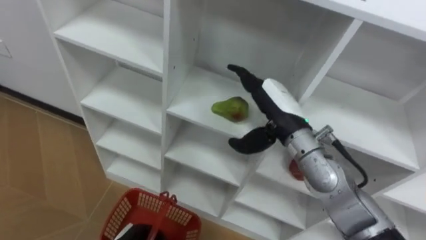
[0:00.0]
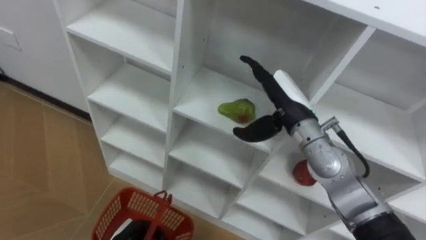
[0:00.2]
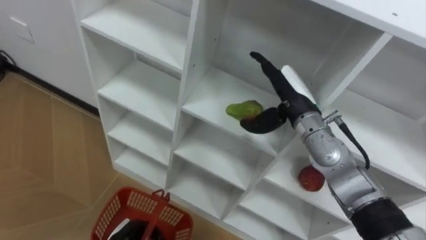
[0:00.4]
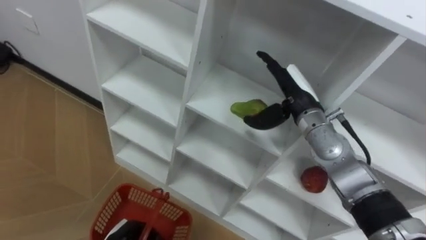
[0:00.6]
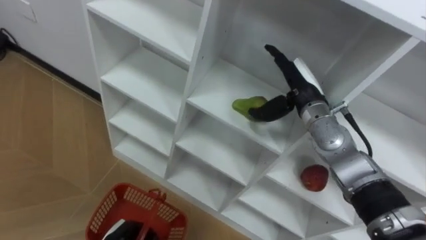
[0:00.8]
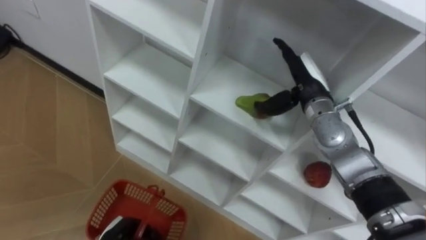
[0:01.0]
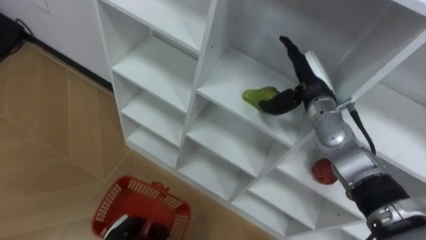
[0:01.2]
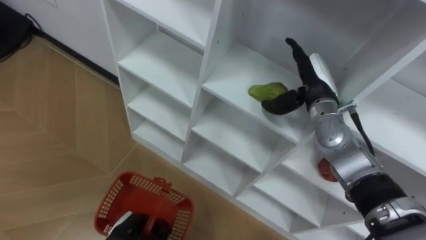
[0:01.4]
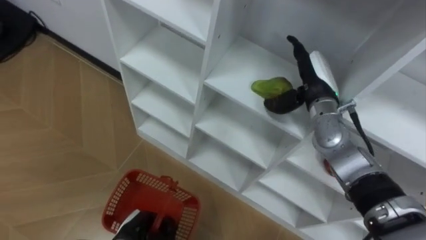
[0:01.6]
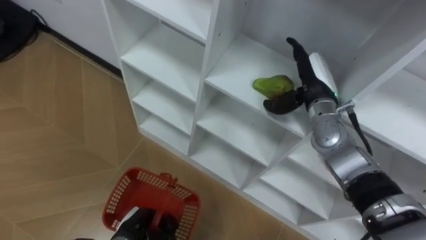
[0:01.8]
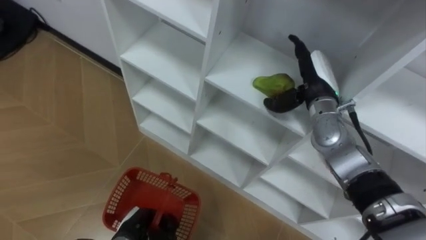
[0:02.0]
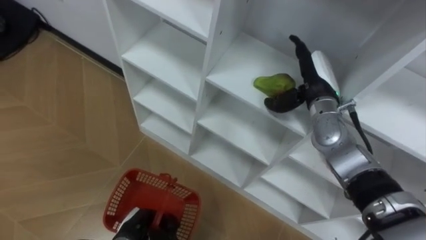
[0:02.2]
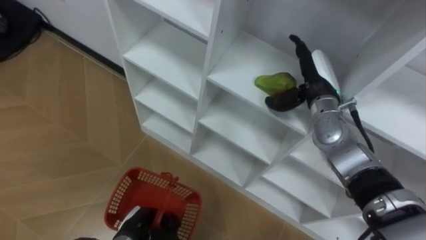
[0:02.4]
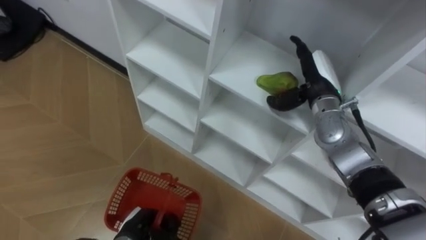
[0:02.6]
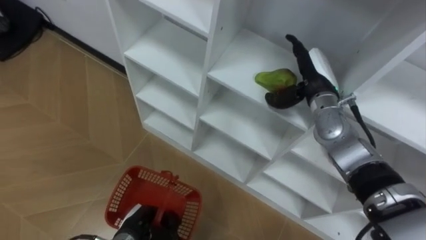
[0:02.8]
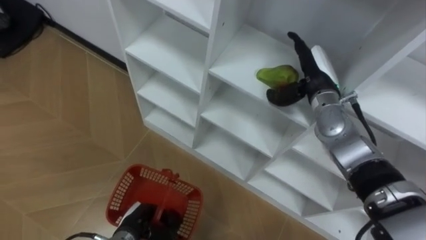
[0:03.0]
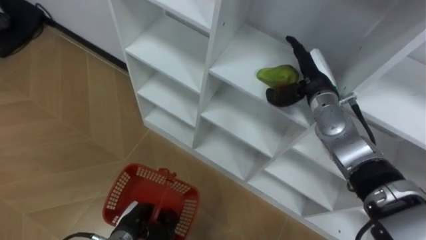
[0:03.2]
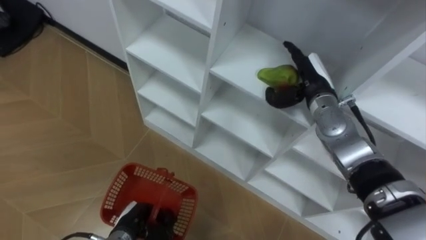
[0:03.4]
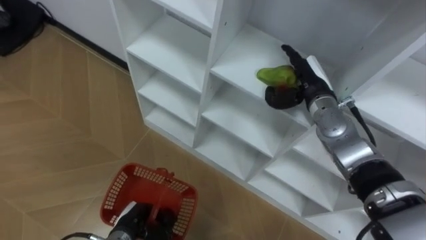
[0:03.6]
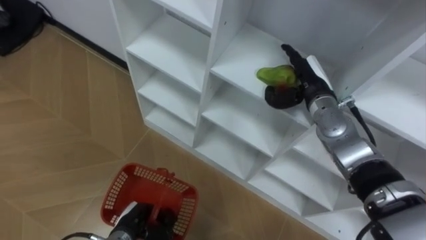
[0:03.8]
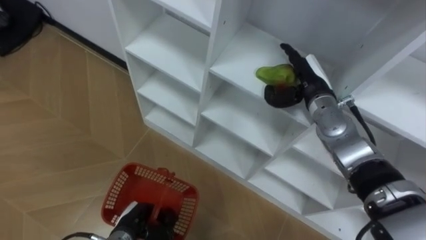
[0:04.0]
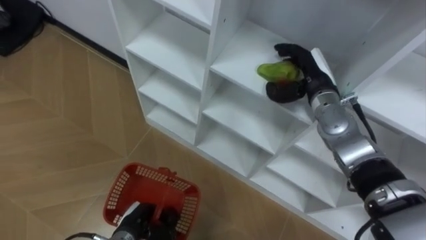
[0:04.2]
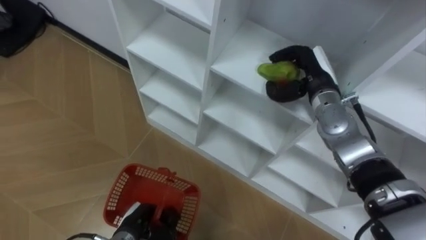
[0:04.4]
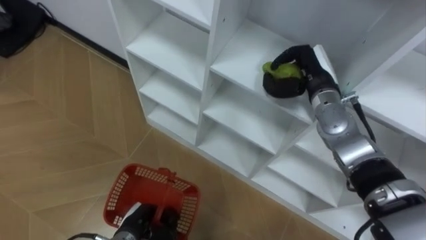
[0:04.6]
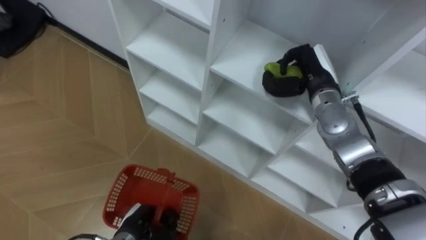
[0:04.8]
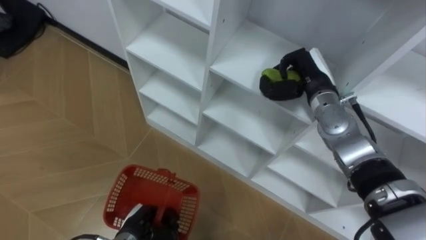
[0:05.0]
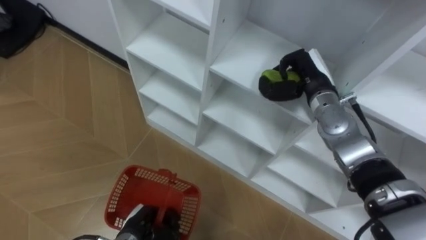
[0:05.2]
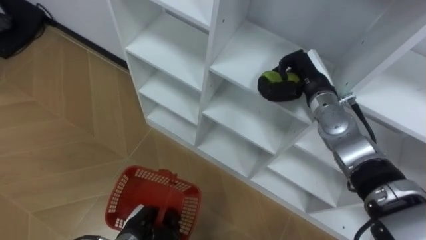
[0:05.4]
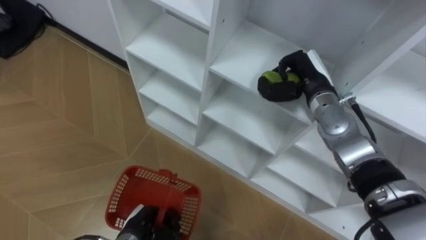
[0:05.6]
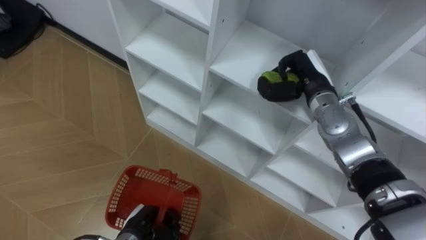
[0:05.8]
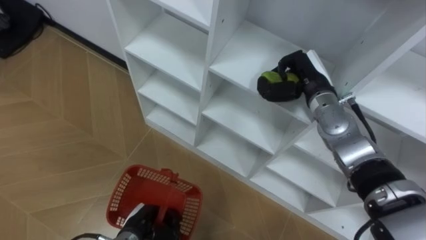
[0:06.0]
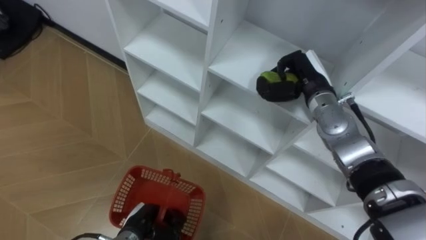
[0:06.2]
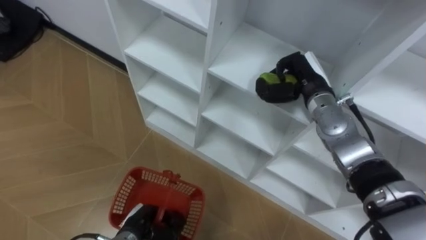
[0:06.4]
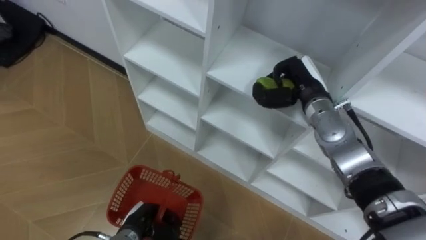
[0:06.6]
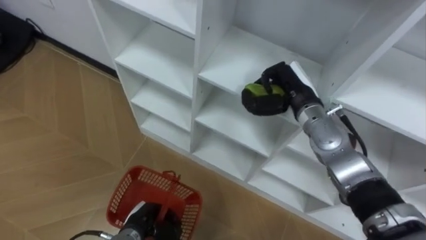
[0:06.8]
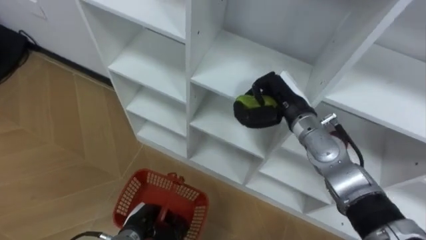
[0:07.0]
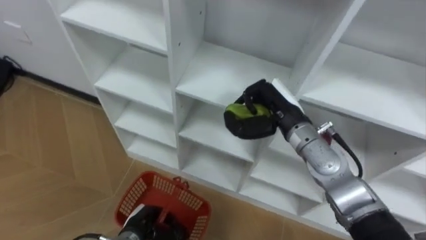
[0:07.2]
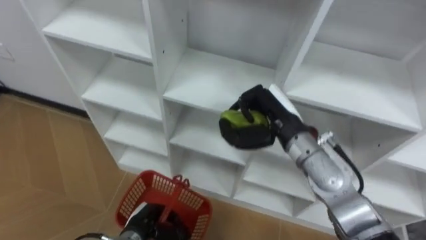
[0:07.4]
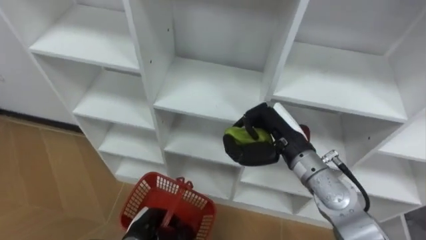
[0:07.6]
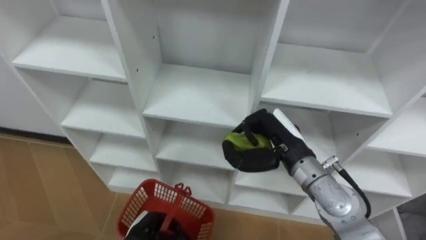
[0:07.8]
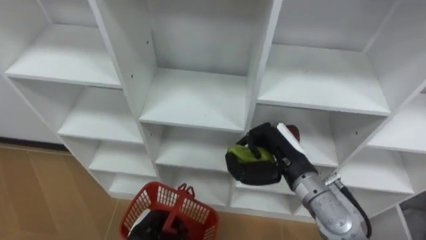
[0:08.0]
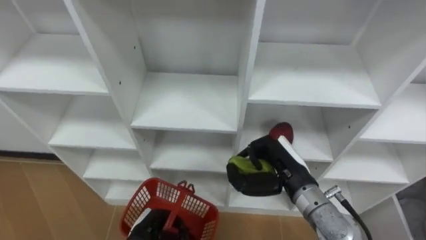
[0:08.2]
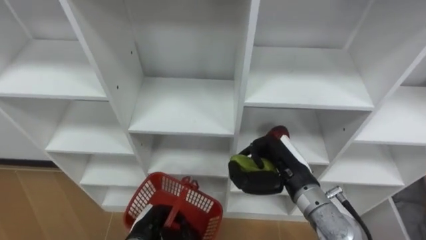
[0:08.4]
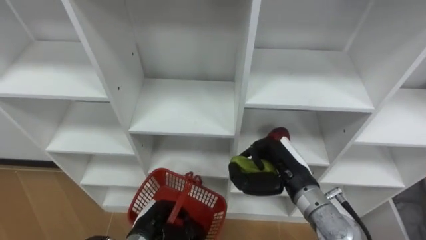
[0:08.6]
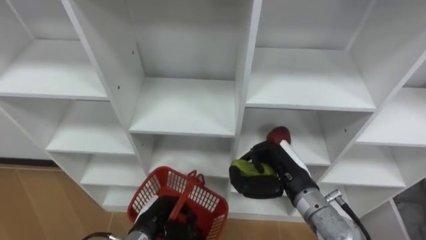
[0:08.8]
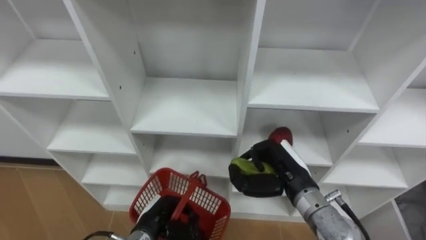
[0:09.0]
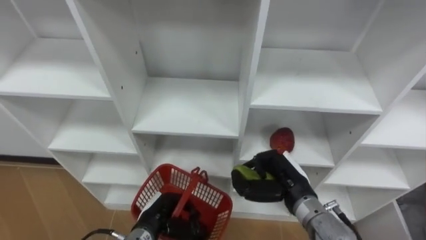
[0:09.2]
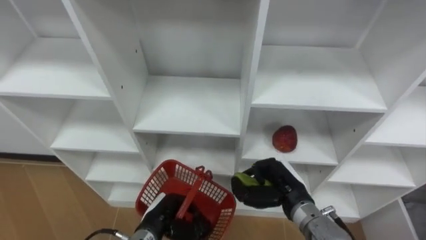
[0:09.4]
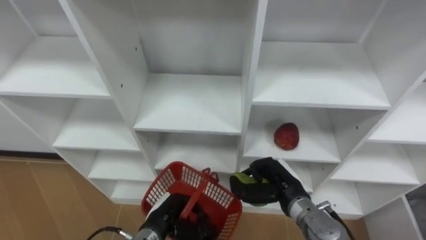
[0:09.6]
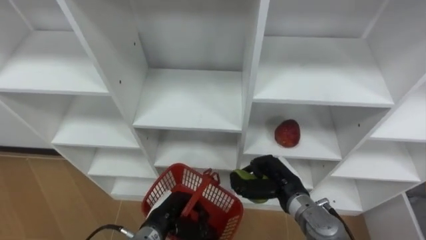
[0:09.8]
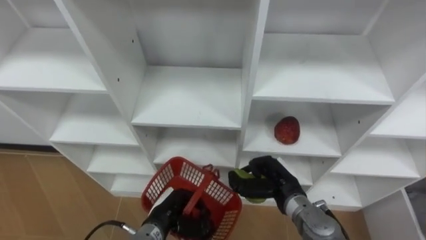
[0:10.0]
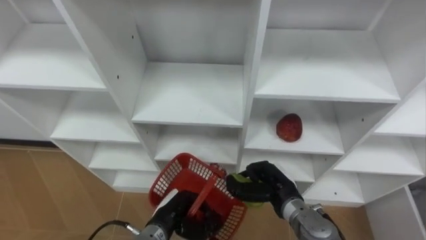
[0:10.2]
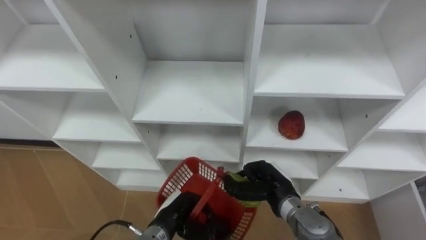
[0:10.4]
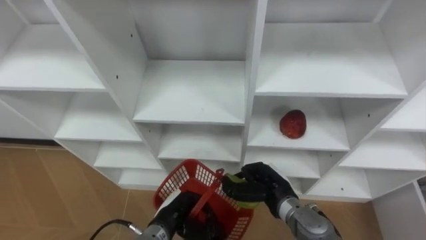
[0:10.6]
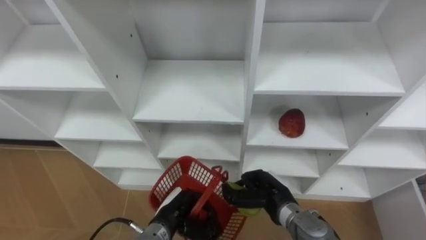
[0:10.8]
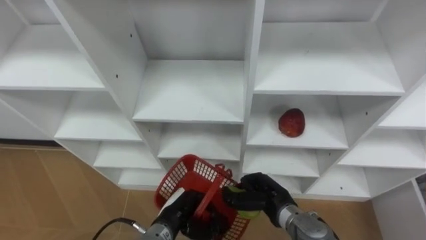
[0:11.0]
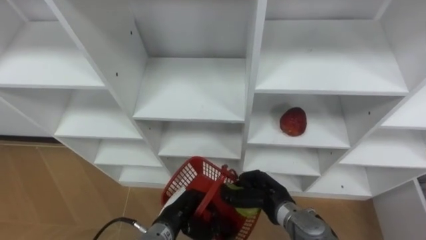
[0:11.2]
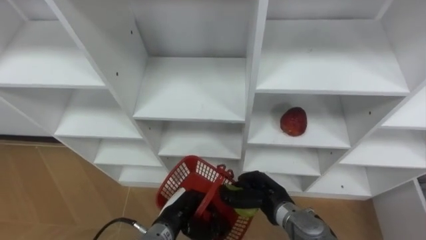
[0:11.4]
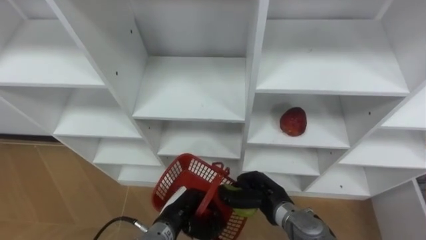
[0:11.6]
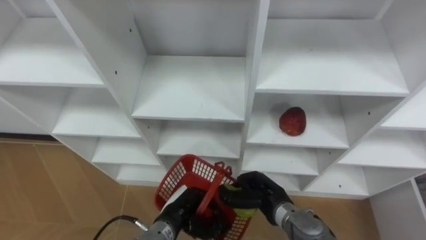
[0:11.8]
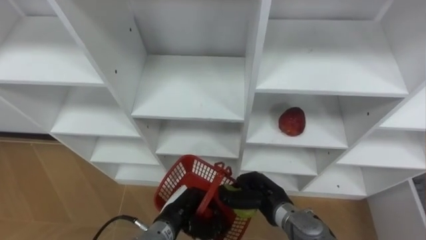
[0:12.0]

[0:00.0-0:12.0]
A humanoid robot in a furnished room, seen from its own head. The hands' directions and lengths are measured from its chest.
Task of the whole recording: Hold the basket and collect the fruits from 3 different cells of the closet into it.
0:00.0 to 0:01.6: The right hand moves forward and to the right, about 10 cm.
0:03.0 to 0:04.4: The right hand closes its fingers.
0:04.4 to 0:06.0: The right hand closes its fingers.
0:06.0 to 0:07.6: The right hand heads backward and to the left, covering about 10 cm.
0:07.6 to 0:09.0: The right hand shifts approximately 5 cm downward.
0:09.0 to 0:10.4: The right hand travels downward by approximately 10 cm.

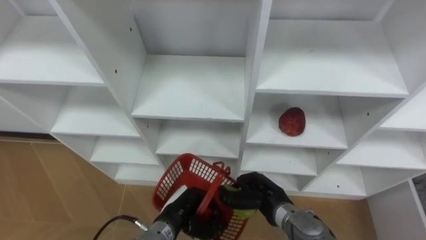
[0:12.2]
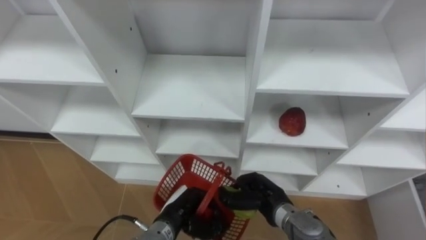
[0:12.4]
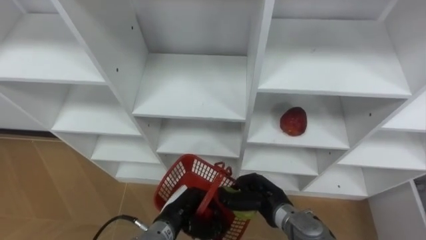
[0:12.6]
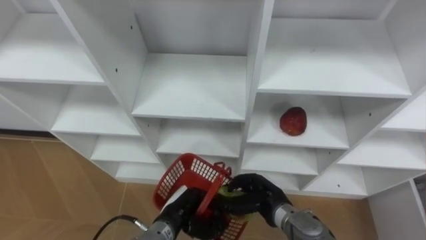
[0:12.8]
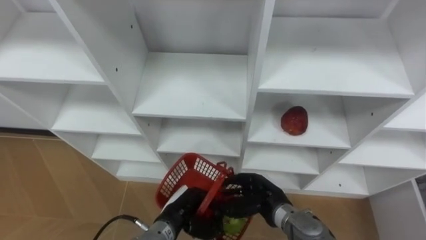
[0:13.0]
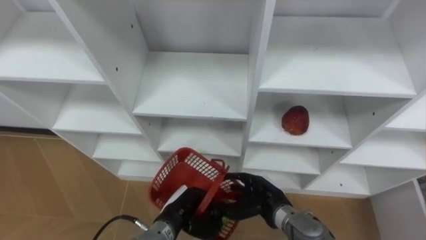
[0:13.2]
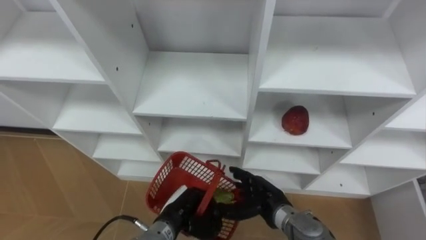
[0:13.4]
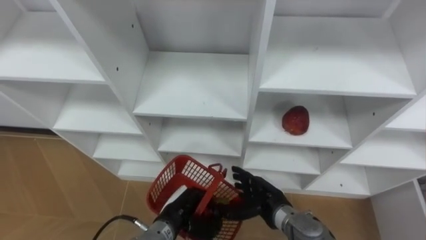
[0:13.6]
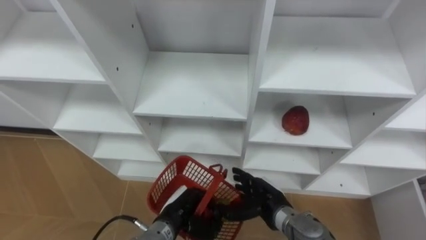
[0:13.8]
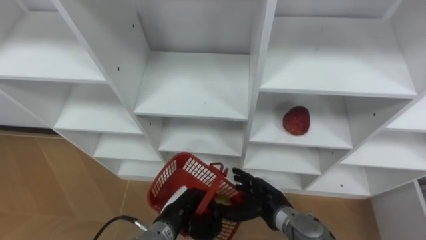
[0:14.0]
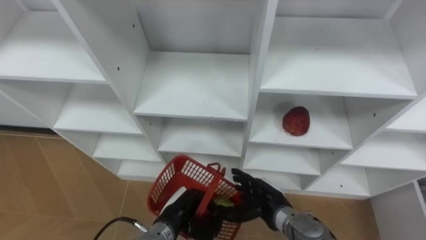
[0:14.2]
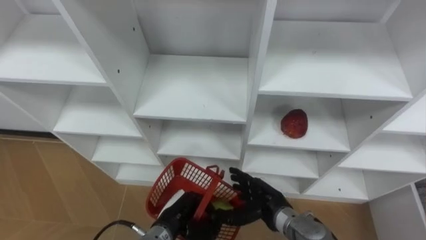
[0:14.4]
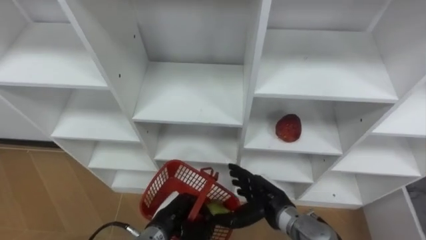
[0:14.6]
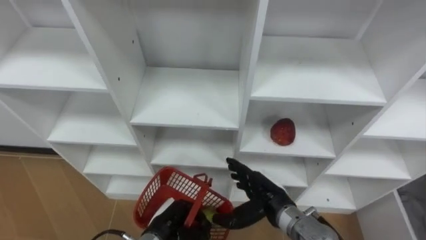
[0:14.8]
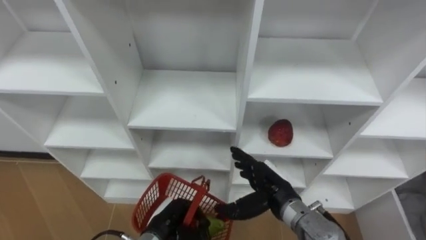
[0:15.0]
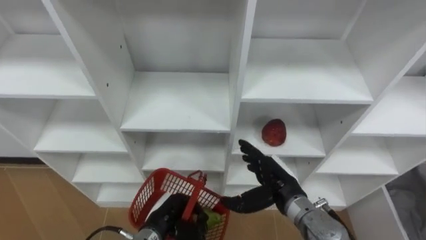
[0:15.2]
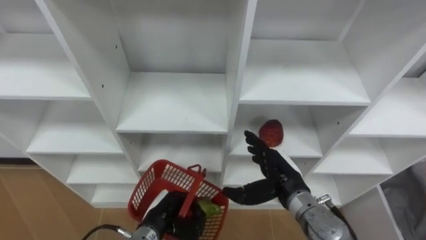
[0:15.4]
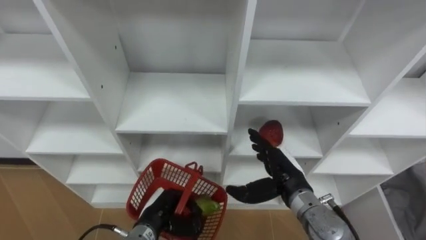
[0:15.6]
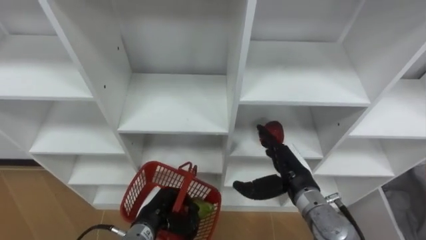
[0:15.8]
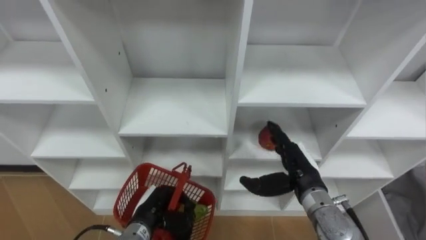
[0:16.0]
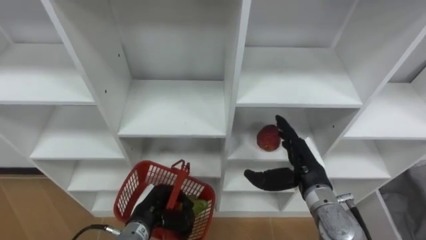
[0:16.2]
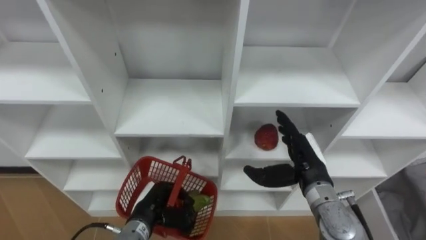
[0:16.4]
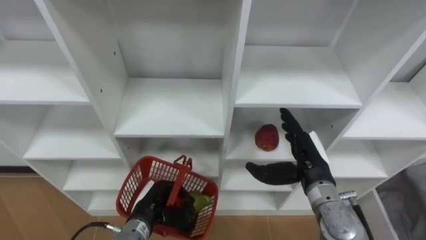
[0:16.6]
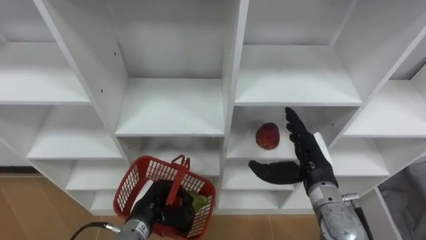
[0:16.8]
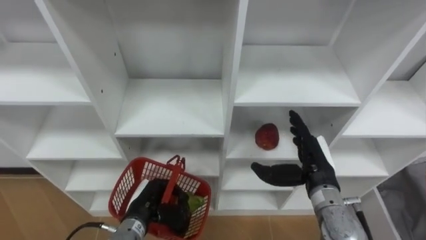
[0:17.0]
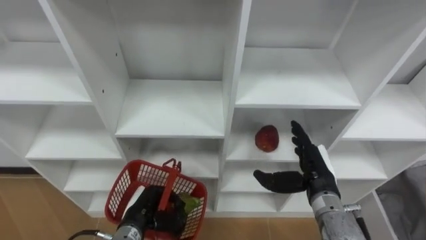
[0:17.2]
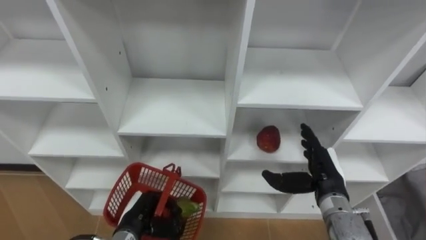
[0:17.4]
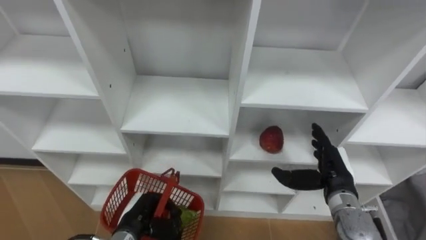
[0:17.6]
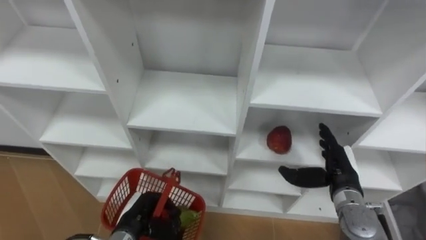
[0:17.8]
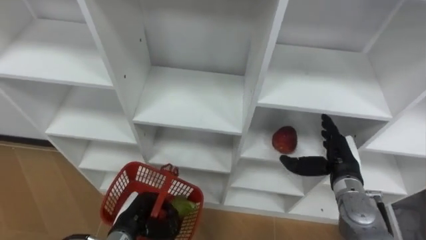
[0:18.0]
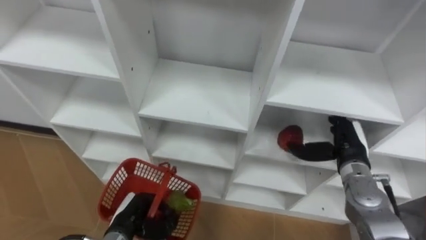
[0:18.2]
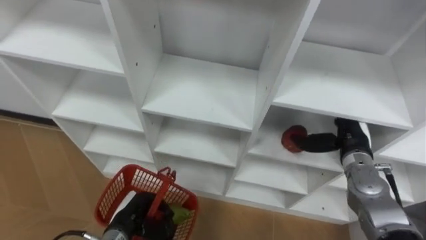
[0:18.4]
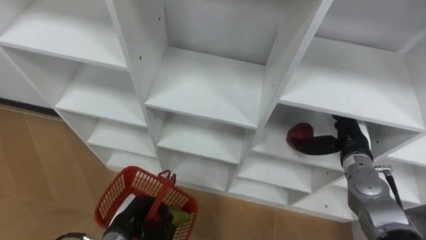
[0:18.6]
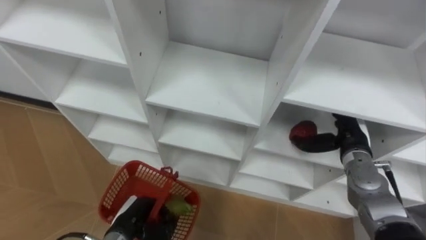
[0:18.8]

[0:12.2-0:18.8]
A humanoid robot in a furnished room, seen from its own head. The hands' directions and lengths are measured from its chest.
Task of the whole recording: Hold the basket and collect the fruits from 3 different cells of the closet into it.
0:12.2 to 0:13.8: The right hand opens.
0:13.8 to 0:15.4: The right hand heads upward, covering about 10 cm.
0:15.4 to 0:17.2: The right hand goes some 5 cm to the right.
0:17.2 to 0:18.8: The right hand goes roughly 10 cm to the right and forward.
